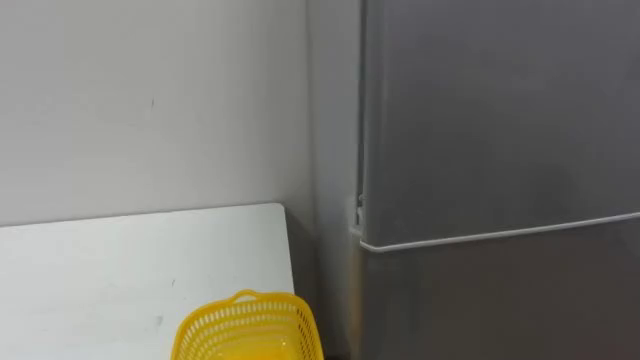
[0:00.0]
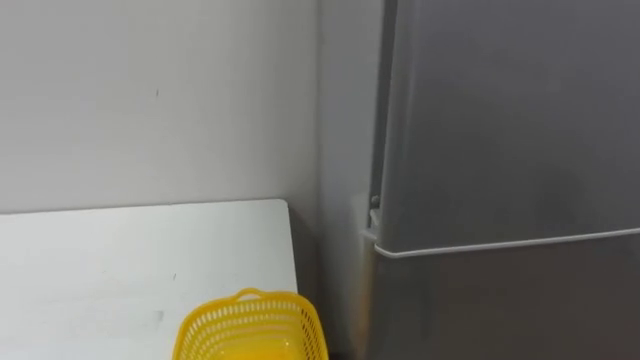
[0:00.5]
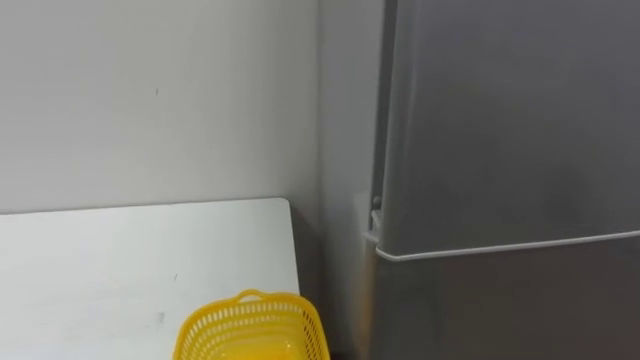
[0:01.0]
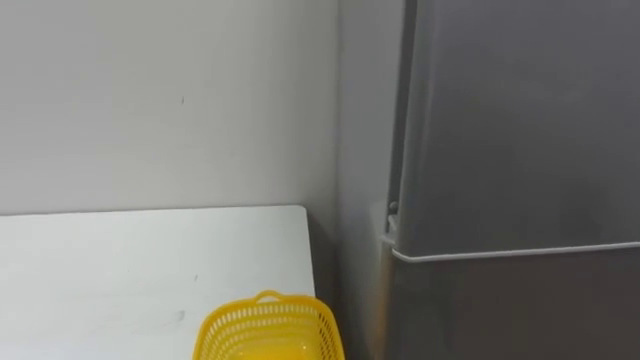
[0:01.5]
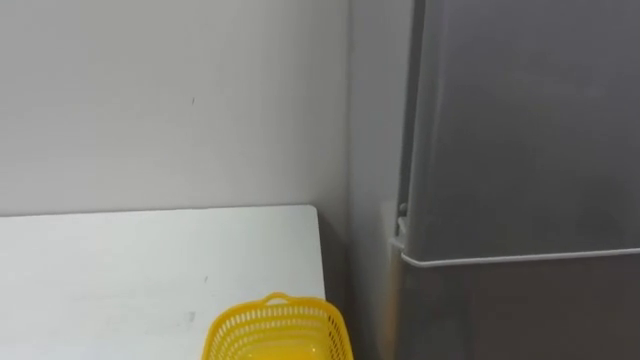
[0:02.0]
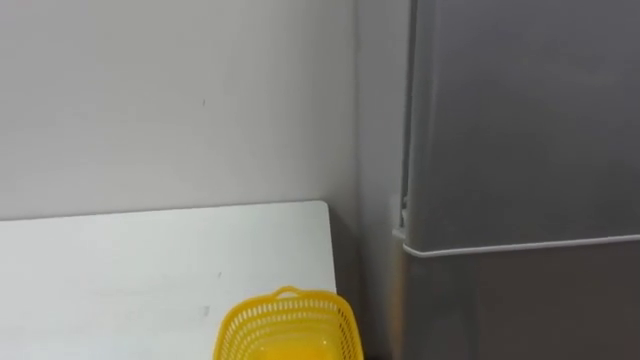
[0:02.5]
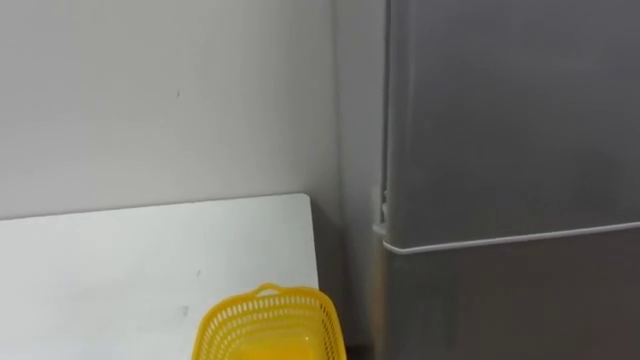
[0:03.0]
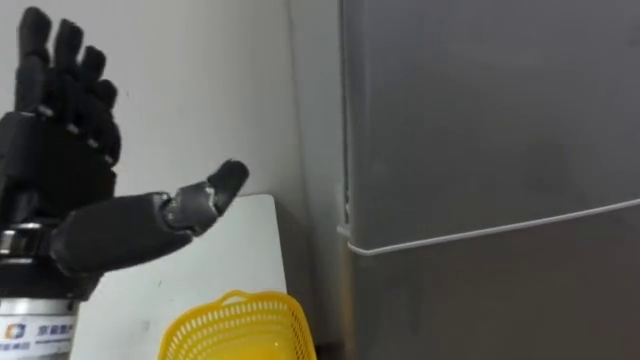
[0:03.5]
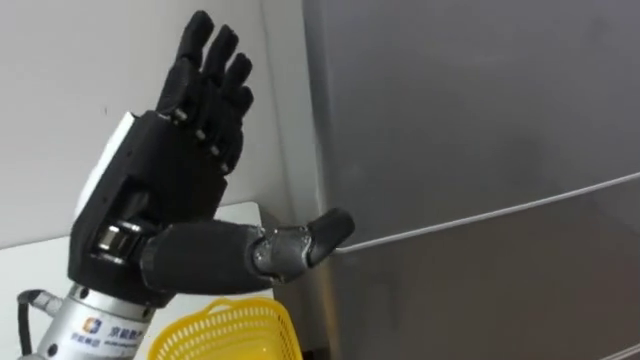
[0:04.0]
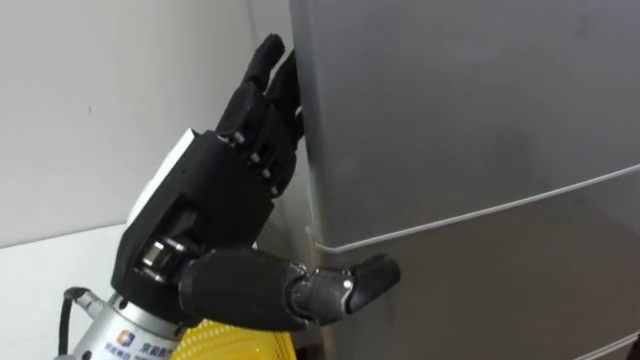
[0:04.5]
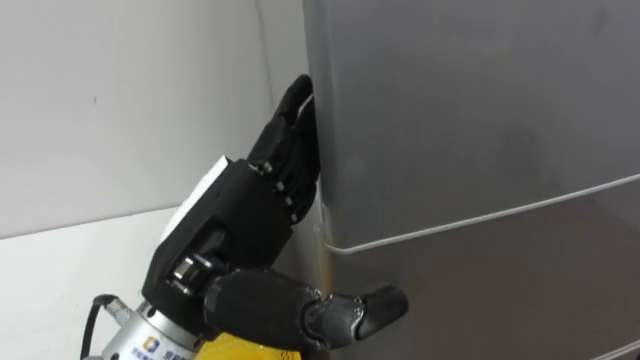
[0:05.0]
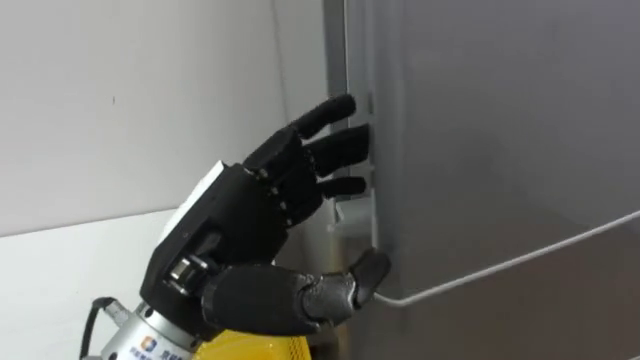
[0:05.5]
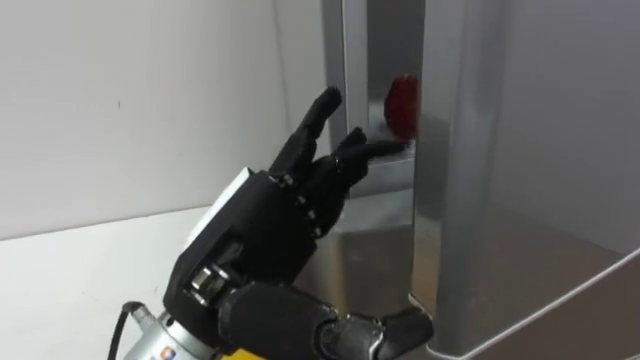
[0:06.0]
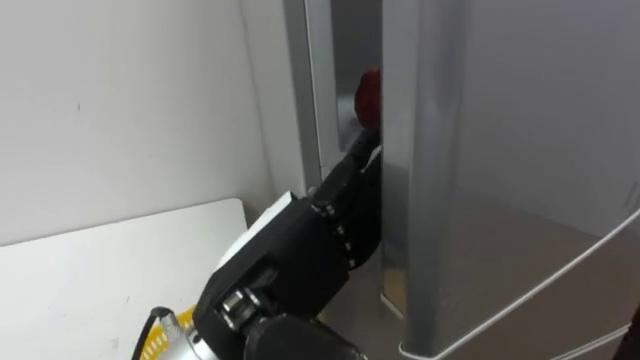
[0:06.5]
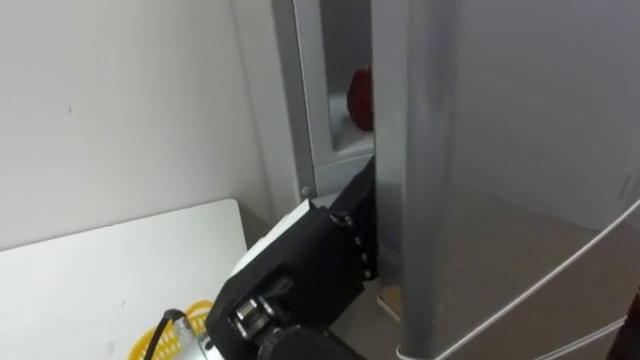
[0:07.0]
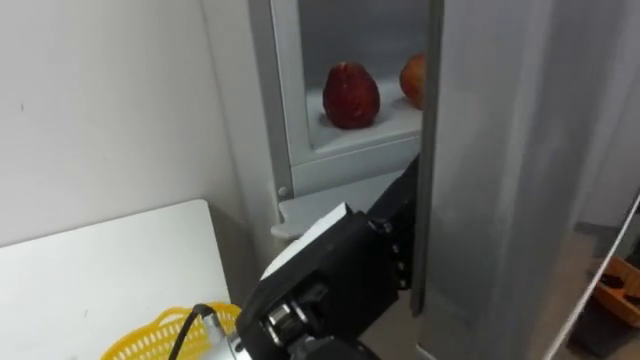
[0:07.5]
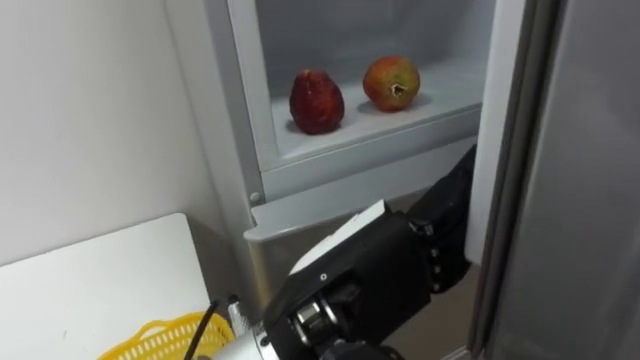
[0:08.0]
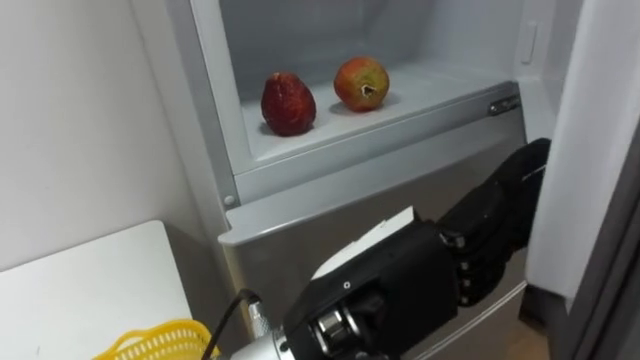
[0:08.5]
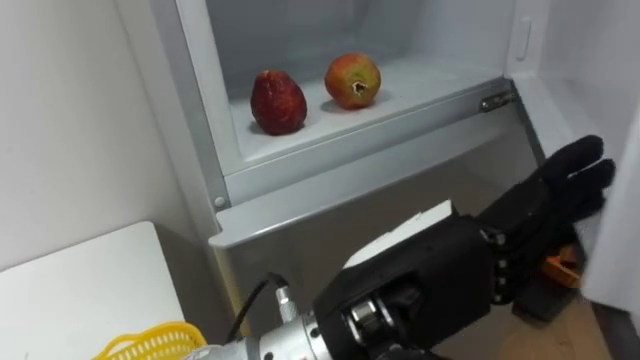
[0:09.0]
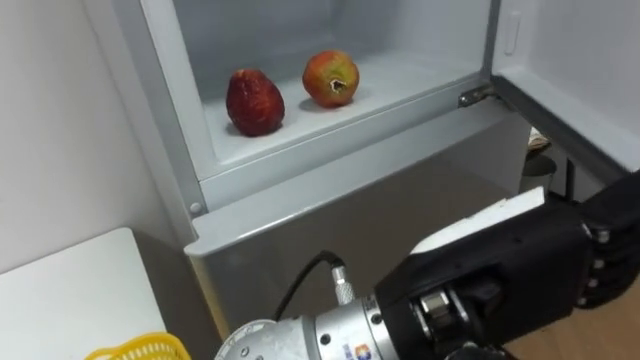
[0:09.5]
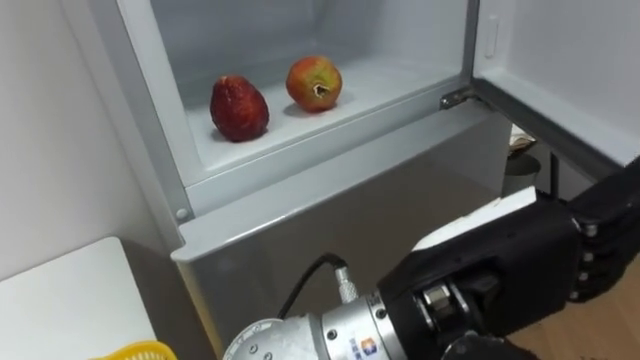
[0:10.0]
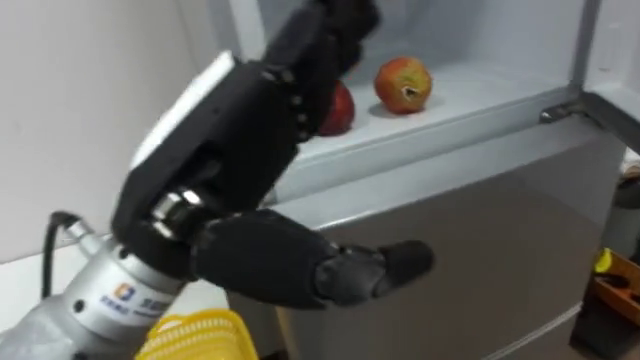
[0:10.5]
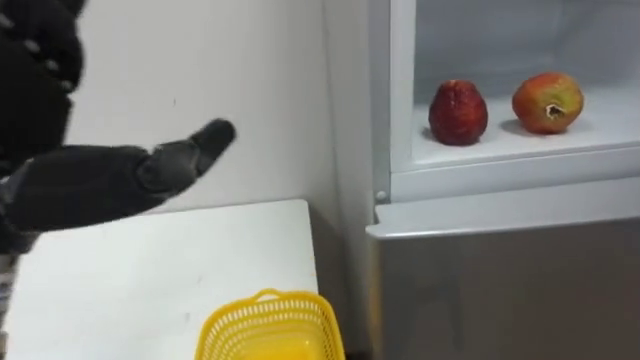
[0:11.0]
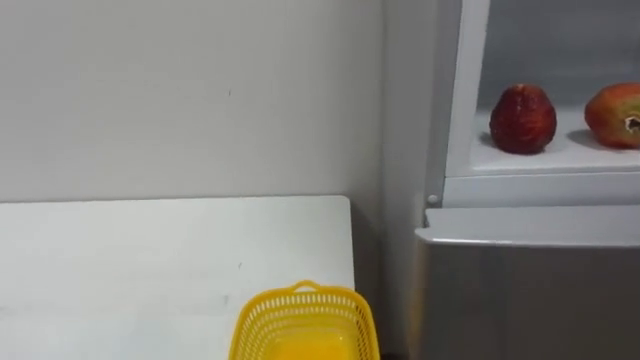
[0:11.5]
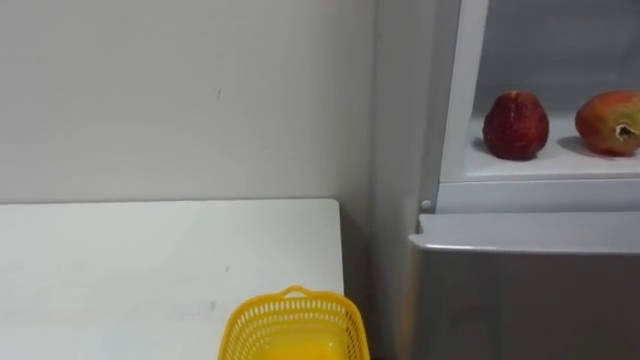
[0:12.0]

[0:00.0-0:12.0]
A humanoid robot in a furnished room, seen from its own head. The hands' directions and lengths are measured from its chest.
Task of the whole recording: Open the refrigerator door, take out the apple and the pomegranate, place them in the fruit basket on the left, and close the refrigerator door.
0:04.0 to 0:06.0: The left hand travels to the right by roughly 5 cm.
0:06.0 to 0:08.0: The left hand is displaced to the right by approximately 10 cm.
0:08.0 to 0:10.0: The left hand heads to the right, covering some 5 cm.

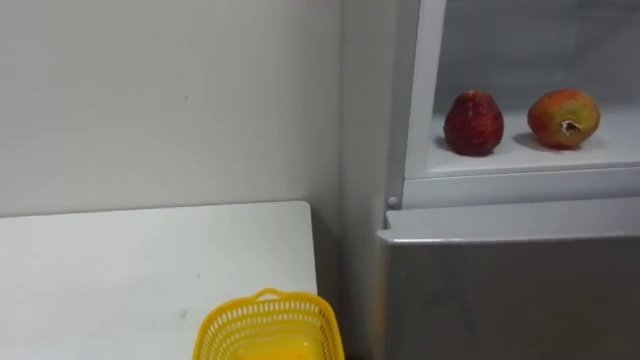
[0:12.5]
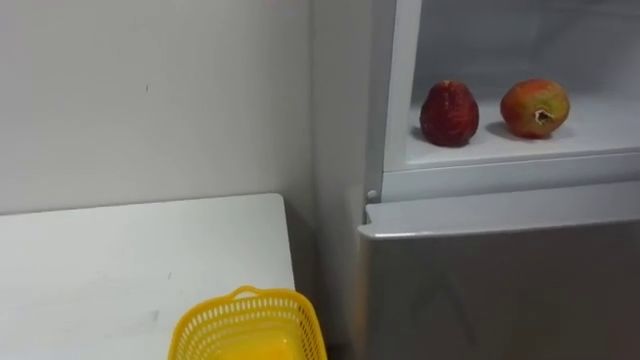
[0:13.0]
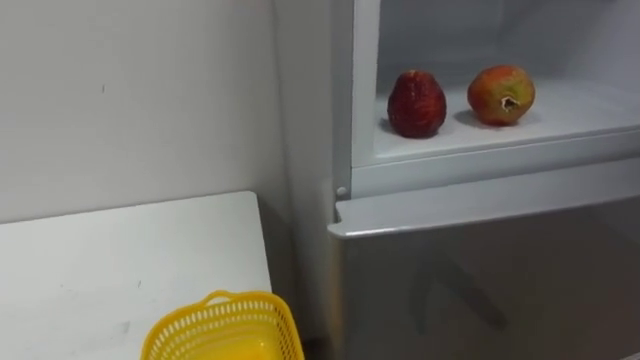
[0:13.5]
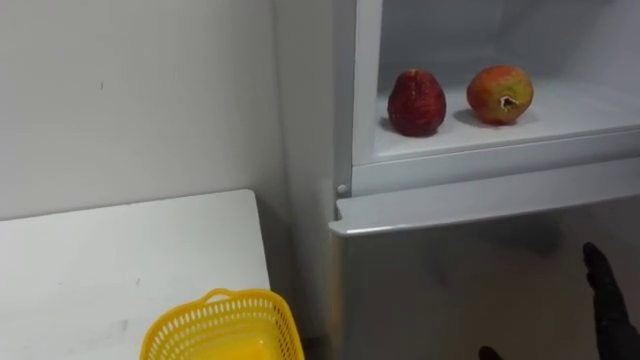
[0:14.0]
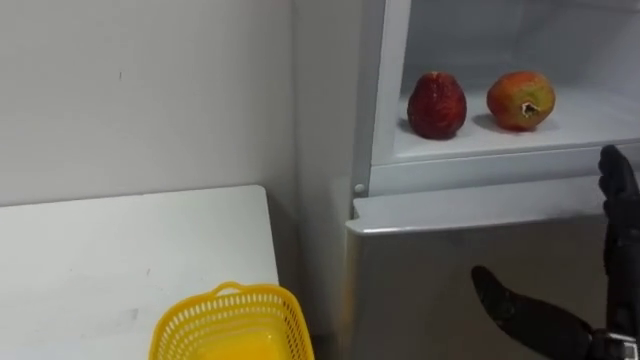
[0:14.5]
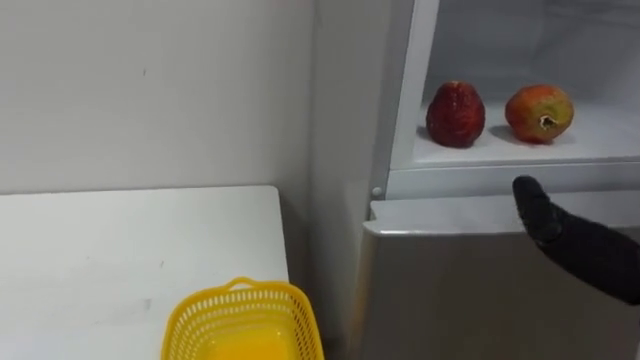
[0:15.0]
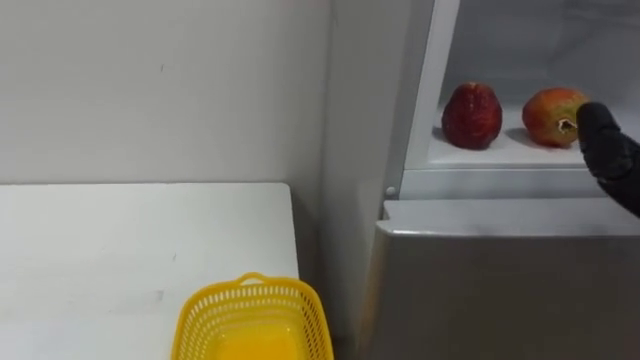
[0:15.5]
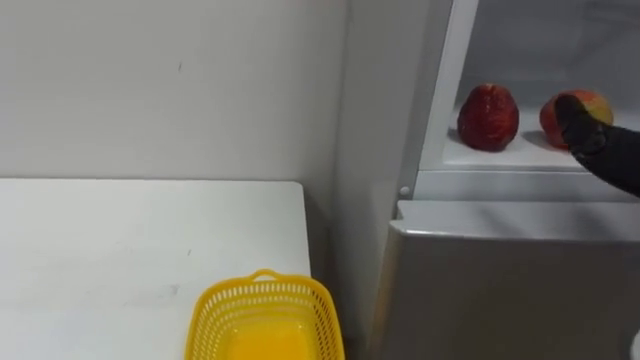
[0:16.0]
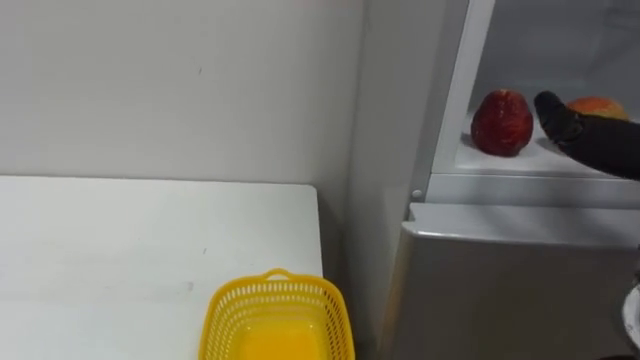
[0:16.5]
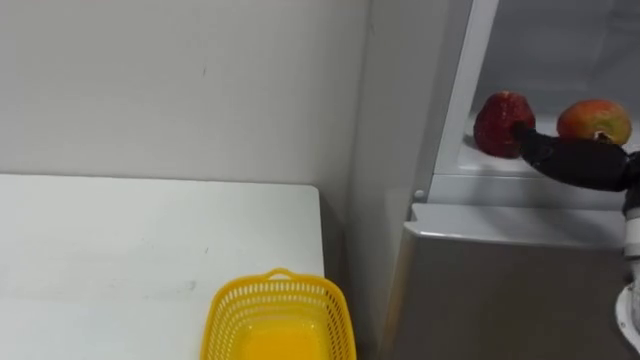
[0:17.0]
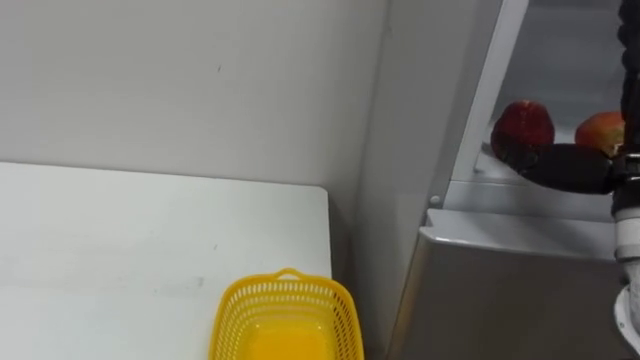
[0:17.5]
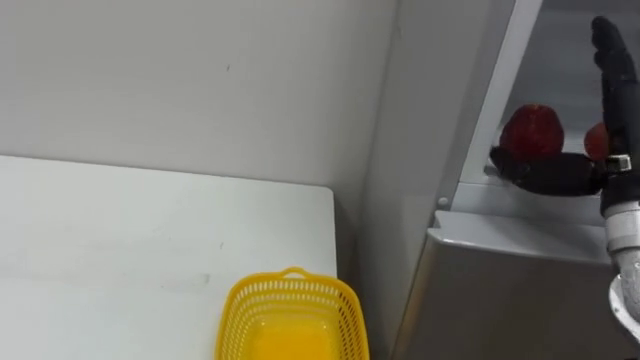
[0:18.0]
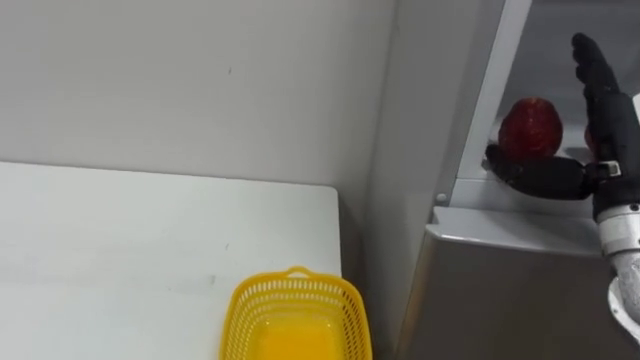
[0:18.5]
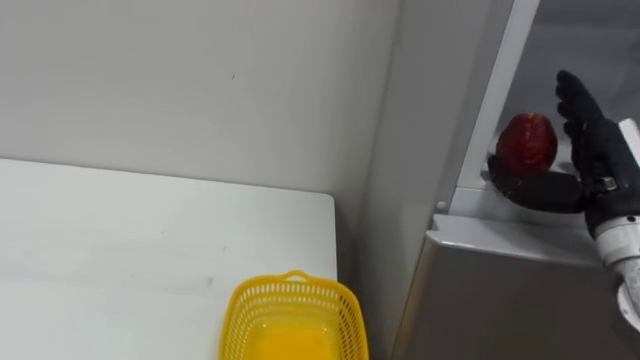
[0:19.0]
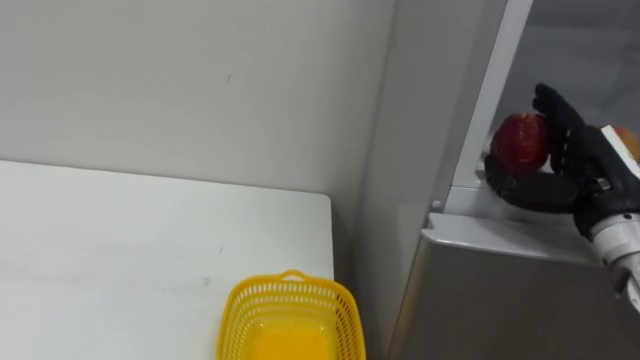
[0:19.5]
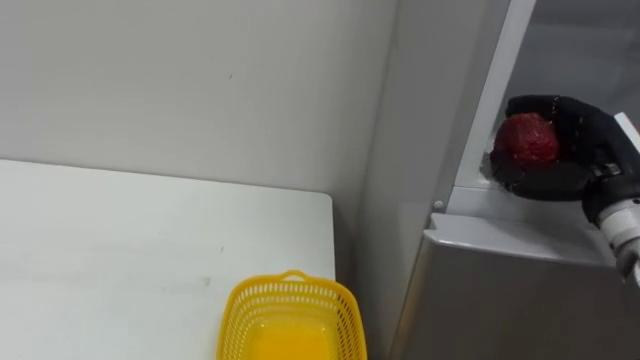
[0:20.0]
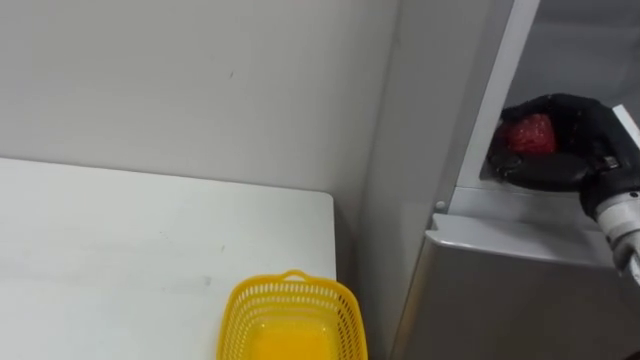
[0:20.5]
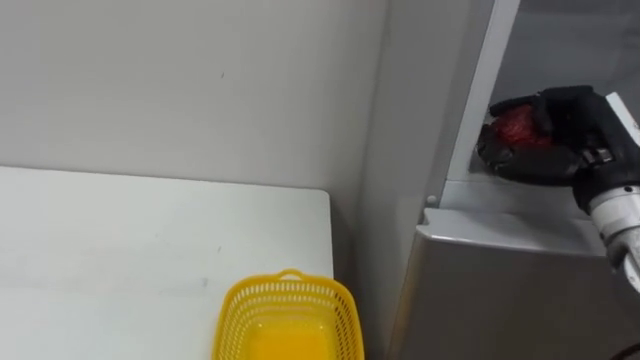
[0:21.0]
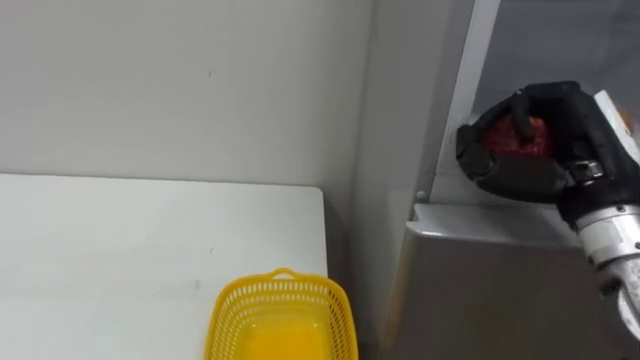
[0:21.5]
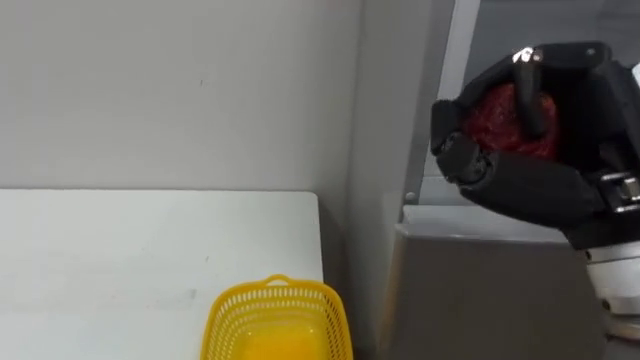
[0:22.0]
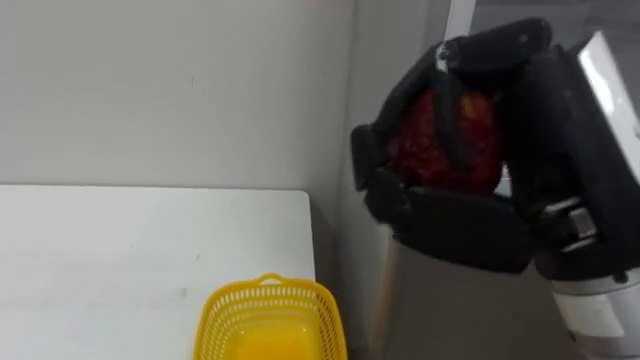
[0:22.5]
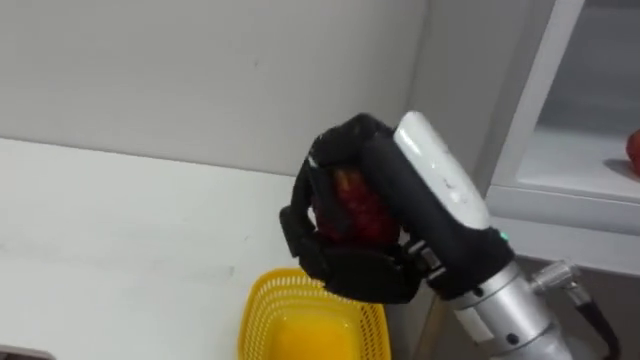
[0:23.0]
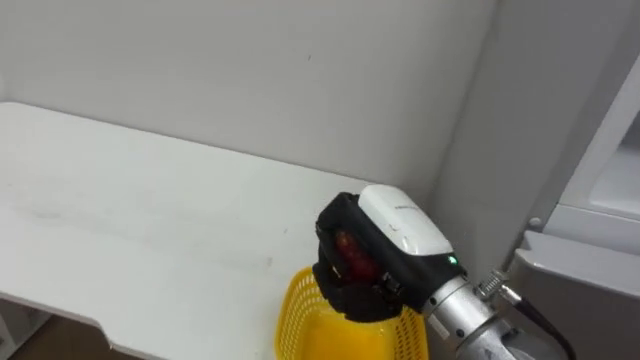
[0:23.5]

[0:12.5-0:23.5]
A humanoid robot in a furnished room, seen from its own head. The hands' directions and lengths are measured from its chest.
Task of the whole recording: Open the refrigerator door, take out the apple and the pomegranate, place them in the fruit basket on the left, and close the refrigerator door.
0:18.0 to 0:20.0: The right hand ends up approximately 5 cm from where it was, and closes.
0:20.0 to 0:21.5: The right hand shifts roughly 5 cm to the left.
0:21.5 to 0:23.5: The right hand is displaced to the left by some 15 cm.
